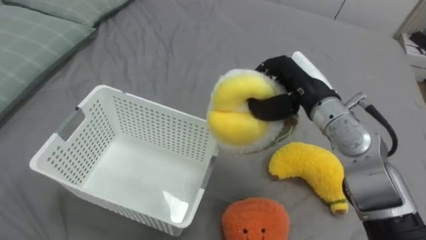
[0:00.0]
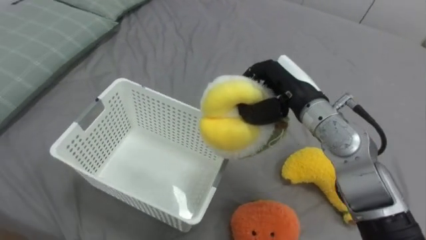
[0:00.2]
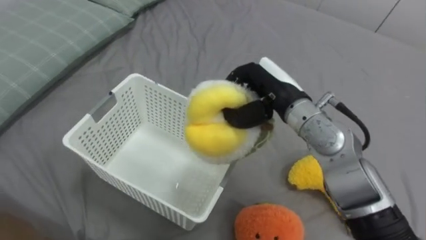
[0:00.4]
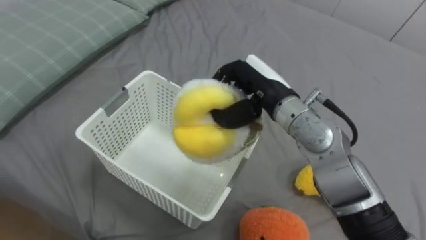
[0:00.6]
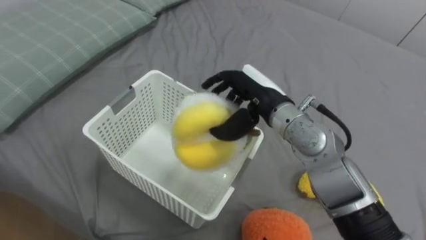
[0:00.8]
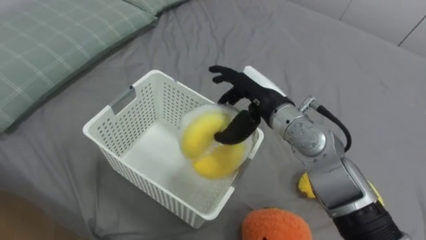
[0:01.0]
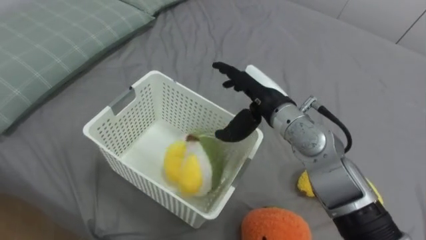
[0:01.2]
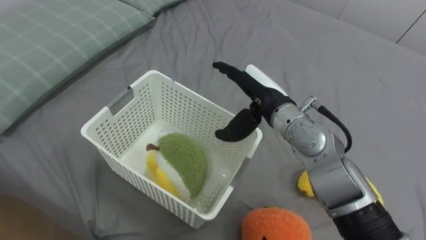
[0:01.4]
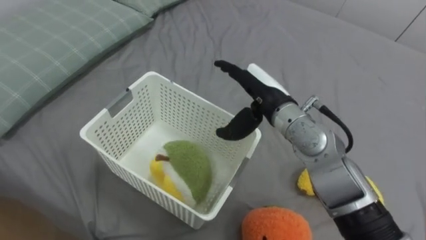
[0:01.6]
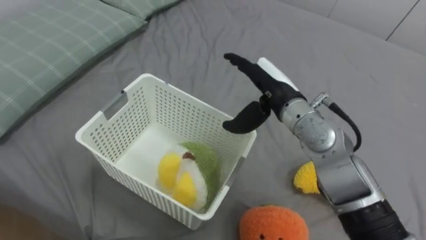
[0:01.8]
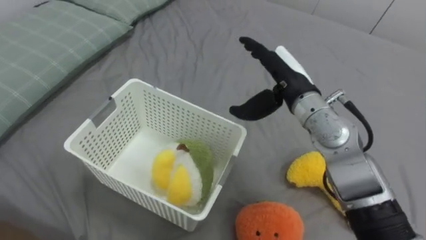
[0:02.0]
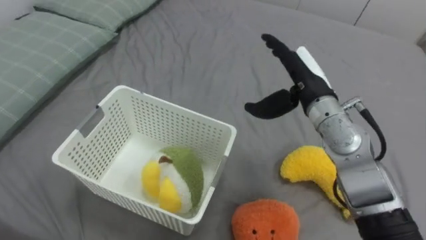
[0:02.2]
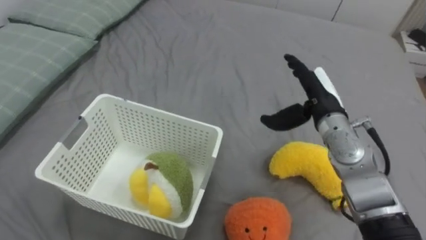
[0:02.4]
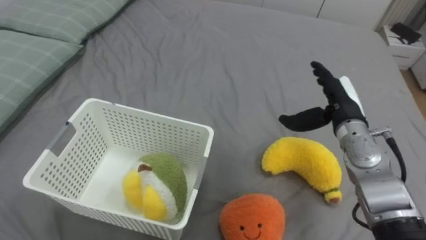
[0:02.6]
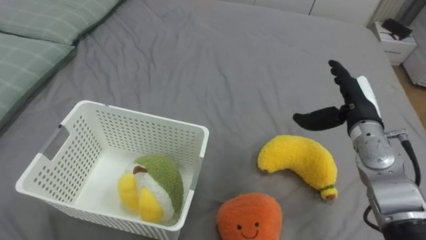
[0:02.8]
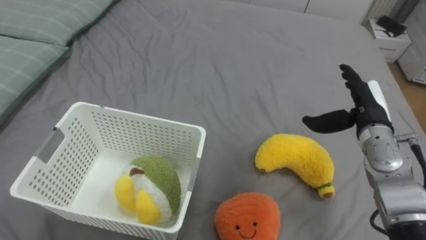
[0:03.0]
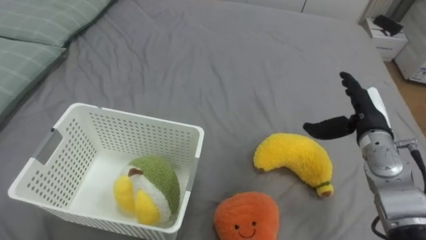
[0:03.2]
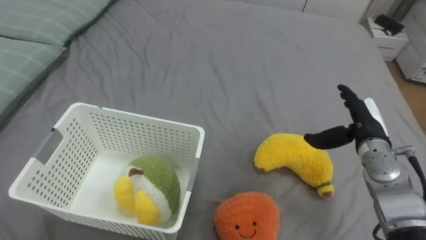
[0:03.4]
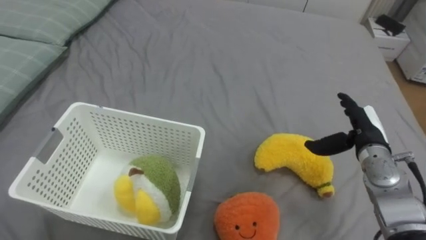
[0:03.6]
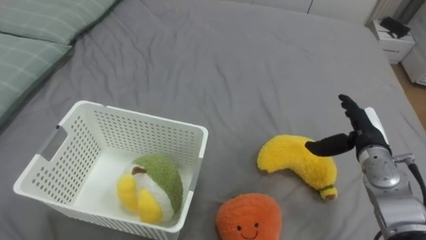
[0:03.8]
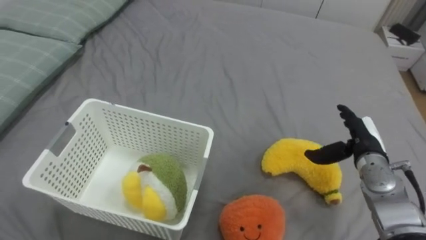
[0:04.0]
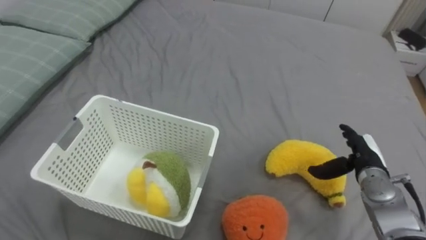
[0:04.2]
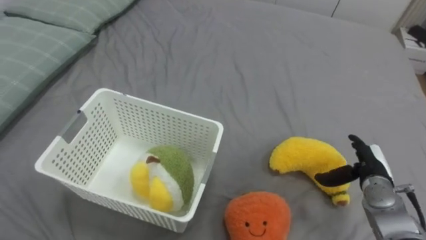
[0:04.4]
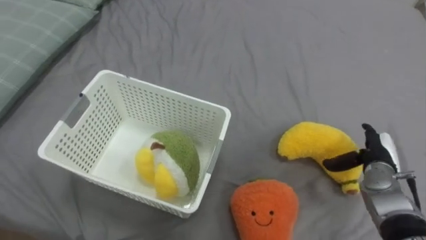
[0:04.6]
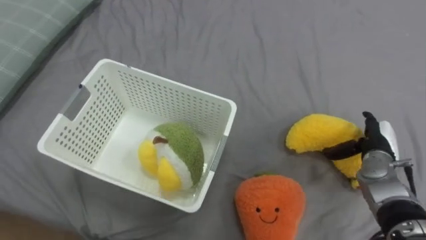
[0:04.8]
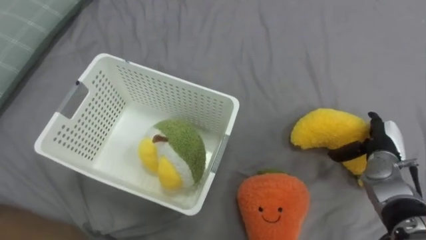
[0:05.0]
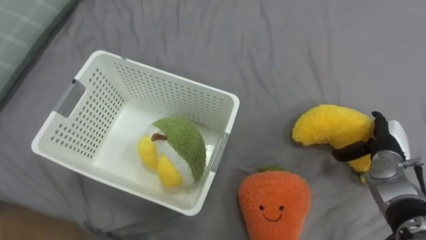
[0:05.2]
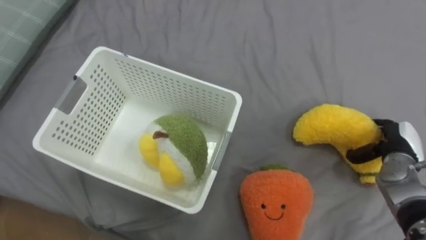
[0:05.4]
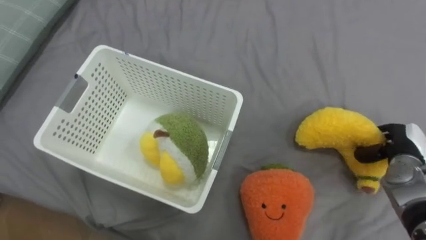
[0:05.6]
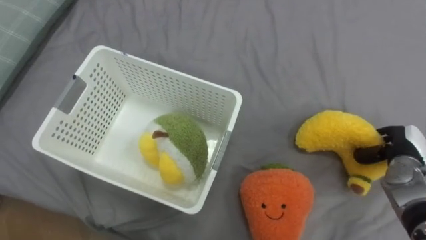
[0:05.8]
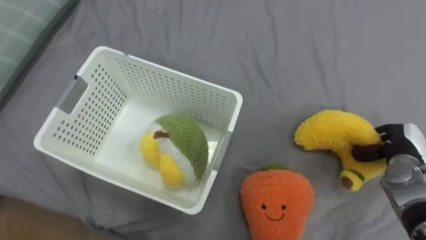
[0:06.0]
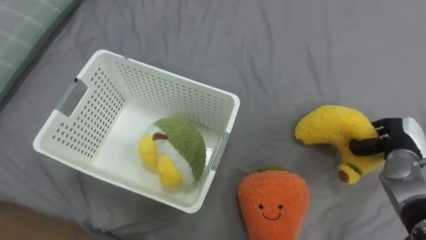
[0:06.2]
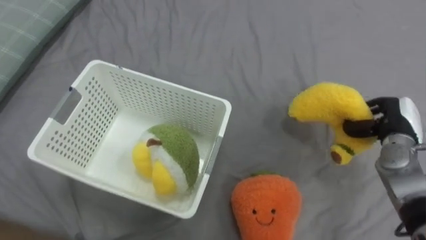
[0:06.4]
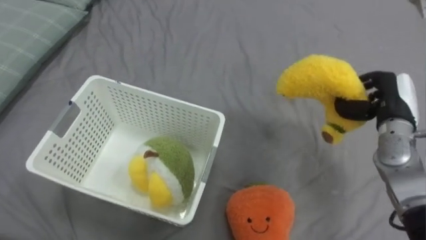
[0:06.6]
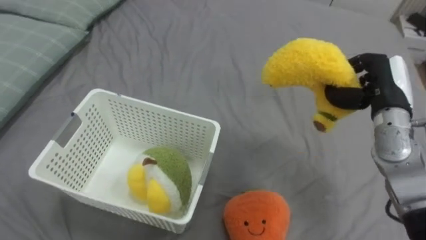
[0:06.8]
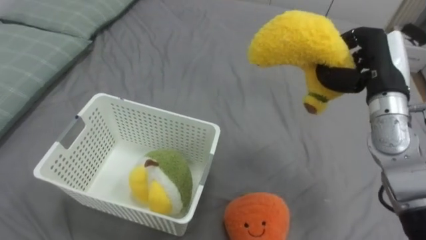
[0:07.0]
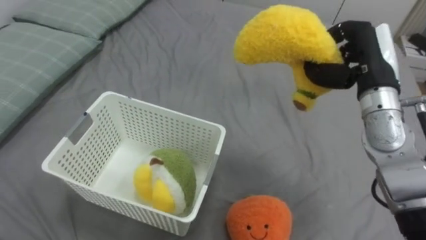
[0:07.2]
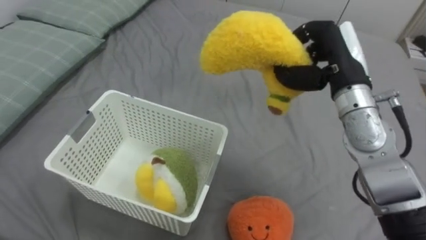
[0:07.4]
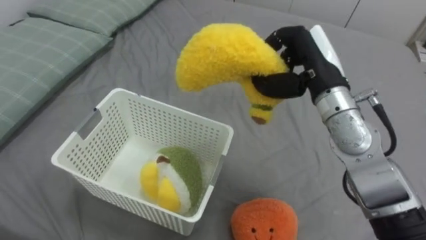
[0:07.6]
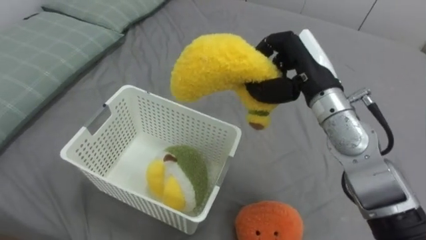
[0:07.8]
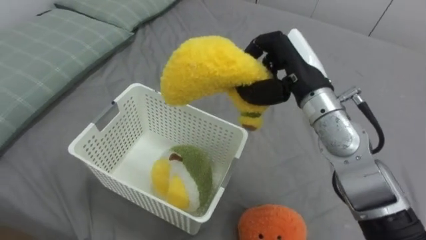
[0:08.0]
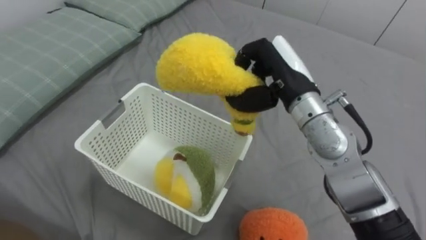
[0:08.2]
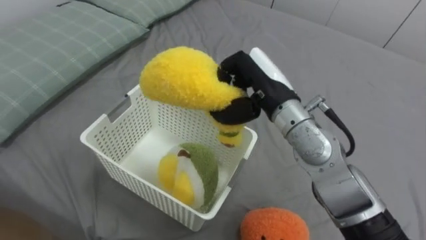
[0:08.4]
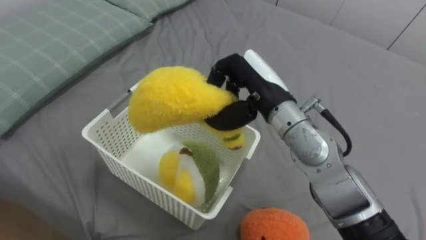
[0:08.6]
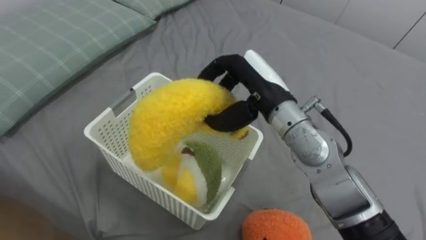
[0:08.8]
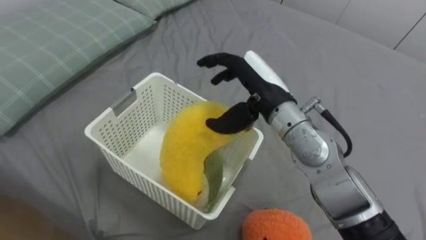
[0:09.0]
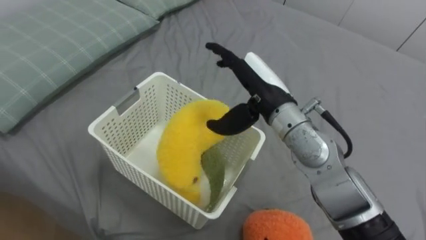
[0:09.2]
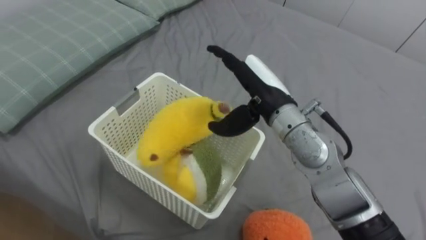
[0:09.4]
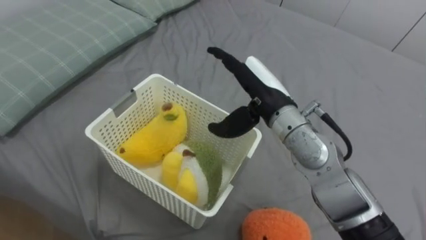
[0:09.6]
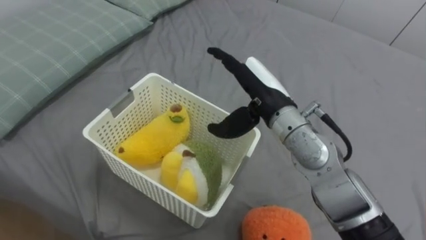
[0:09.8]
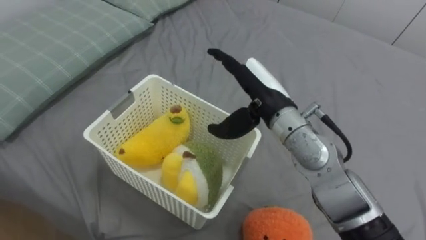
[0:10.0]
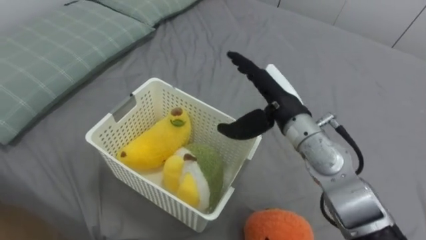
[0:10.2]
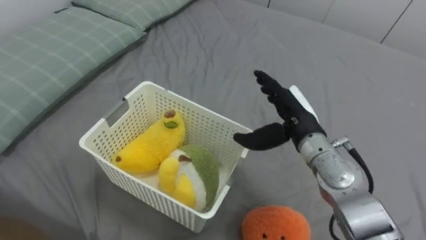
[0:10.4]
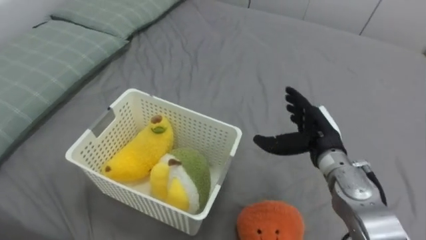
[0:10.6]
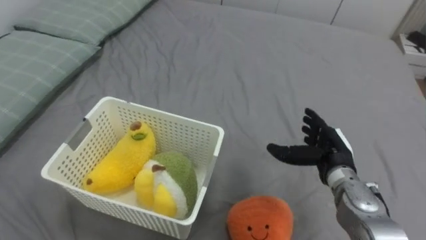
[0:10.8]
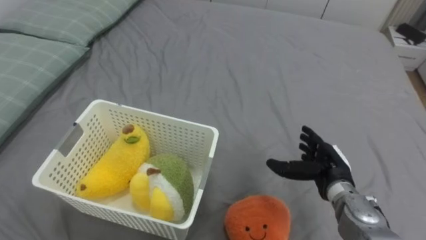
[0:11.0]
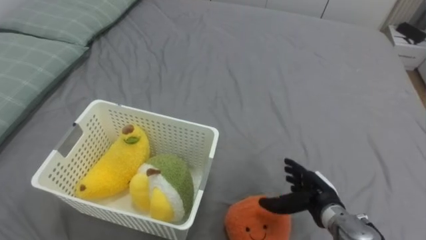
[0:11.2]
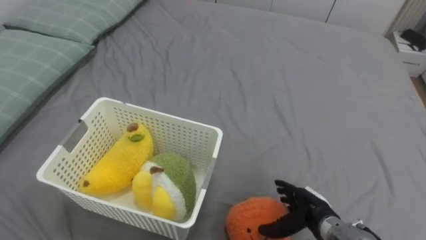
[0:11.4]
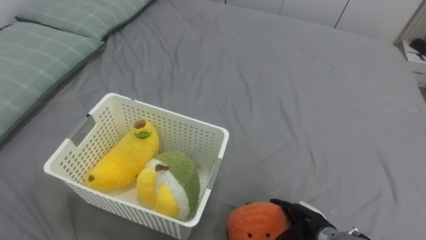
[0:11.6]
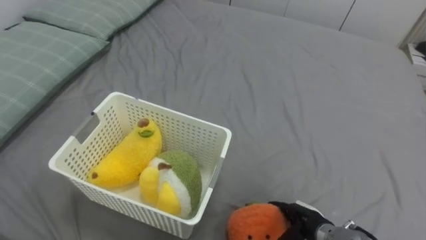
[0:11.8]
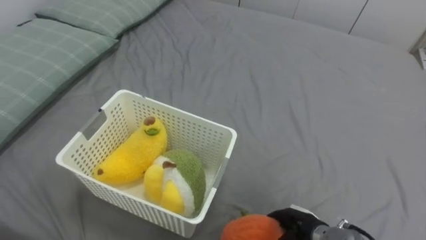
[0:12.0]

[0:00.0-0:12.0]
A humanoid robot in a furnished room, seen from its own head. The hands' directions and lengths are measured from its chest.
Task of the whole recording: Put the toys on the bed into the basket on the left.
0:00.0 to 0:01.6: The right hand travels to the left by roughly 5 cm, and opens up.
0:01.6 to 0:03.0: The right hand moves to the right, approximately 20 cm.
0:03.0 to 0:04.4: The right hand goes roughly 15 cm downward and backward.
0:04.4 to 0:06.0: The right hand moves to the right, some 5 cm, and closes.
0:06.0 to 0:07.6: The right hand travels to the left and upward by some 30 cm.
0:07.6 to 0:09.0: The right hand goes roughly 10 cm to the left, and opens its fingers.
0:09.0 to 0:10.4: The right hand moves to the right and downward, about 10 cm.
0:10.4 to 0:12.0: The right hand is displaced downward and backward by about 25 cm.

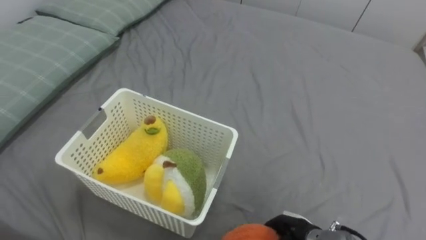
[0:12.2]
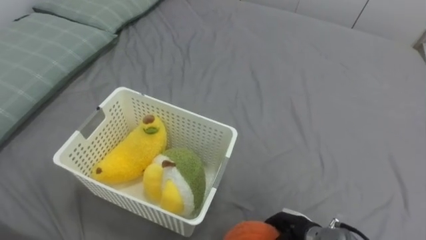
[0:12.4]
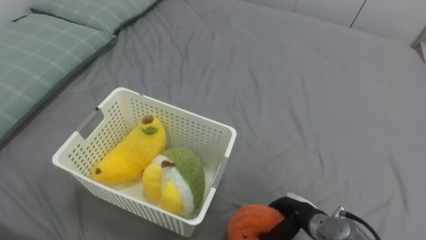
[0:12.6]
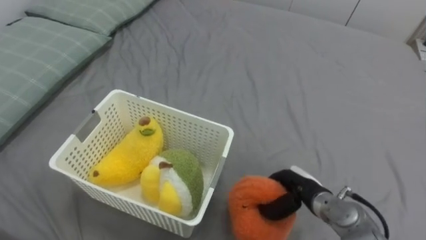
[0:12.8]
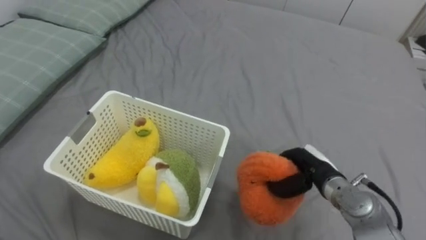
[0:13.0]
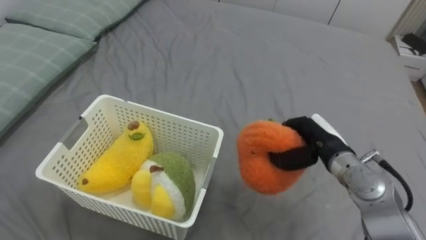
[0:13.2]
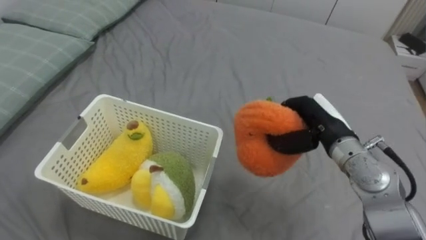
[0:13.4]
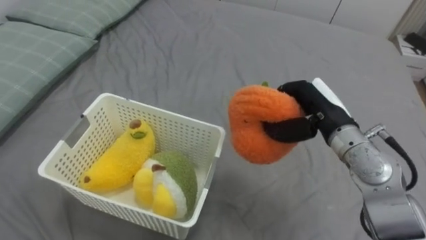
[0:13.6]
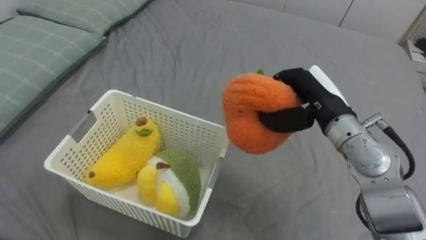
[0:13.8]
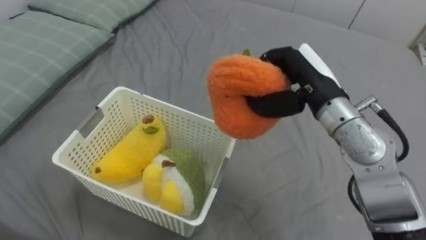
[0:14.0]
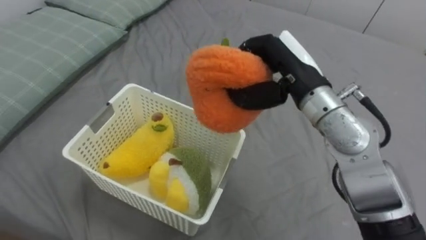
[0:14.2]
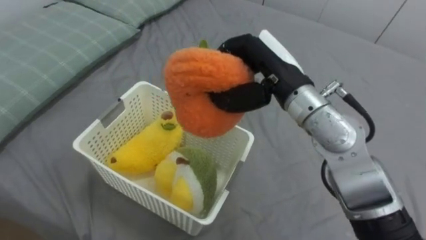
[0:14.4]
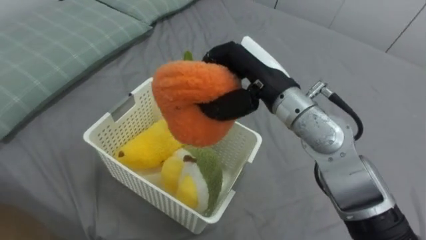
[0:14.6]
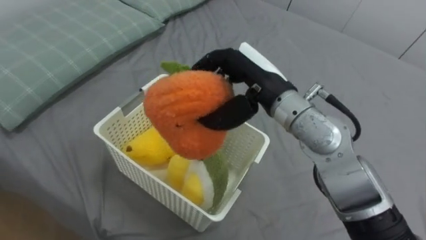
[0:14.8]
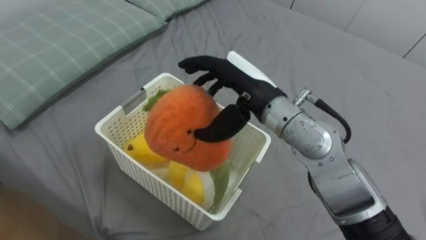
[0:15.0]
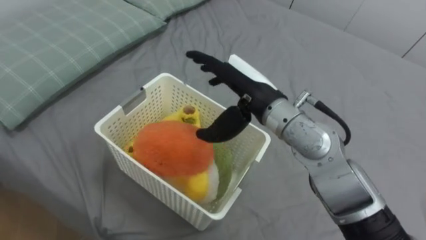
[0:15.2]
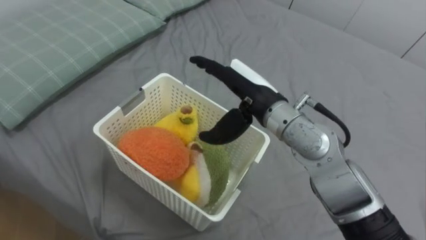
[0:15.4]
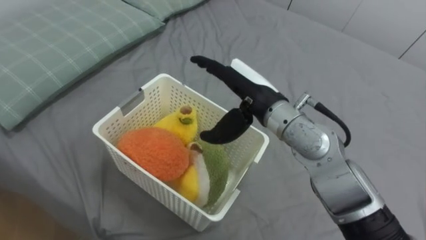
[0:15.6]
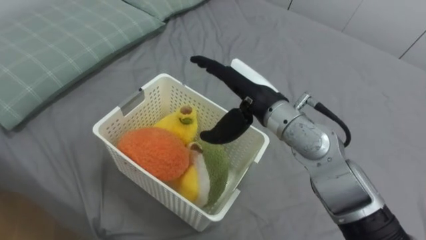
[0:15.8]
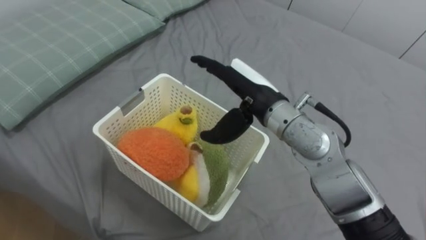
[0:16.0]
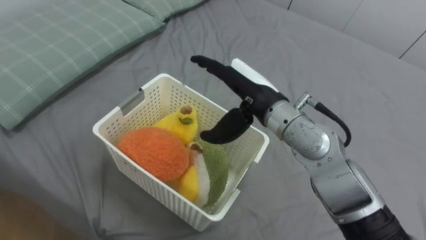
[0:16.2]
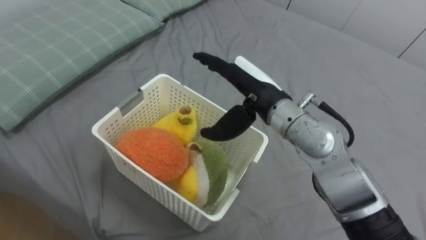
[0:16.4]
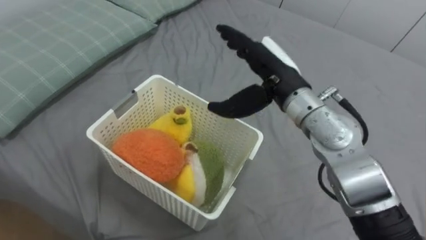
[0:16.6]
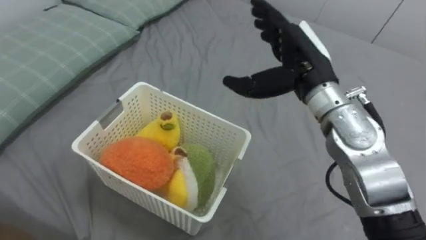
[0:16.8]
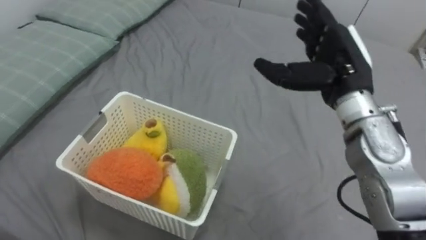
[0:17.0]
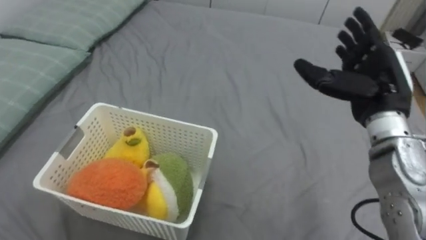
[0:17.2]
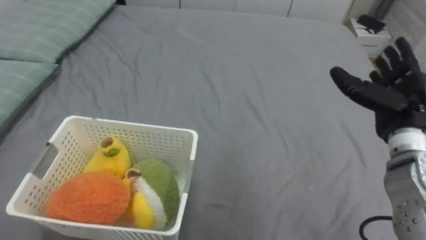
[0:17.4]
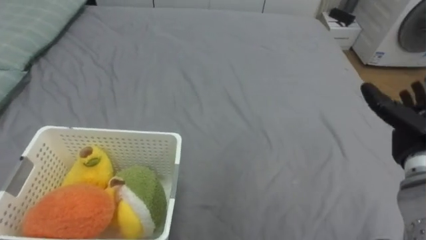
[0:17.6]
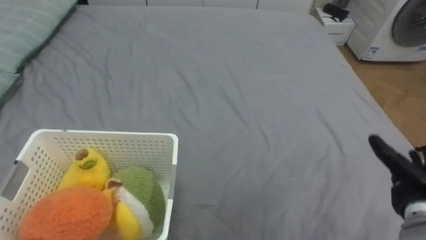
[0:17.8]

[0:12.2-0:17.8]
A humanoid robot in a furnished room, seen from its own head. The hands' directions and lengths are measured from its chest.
Task of the whole recording: Put the toys on the bed into the basket on the left.
0:12.2 to 0:13.6: The right hand moves upward and forward, some 25 cm.
0:13.6 to 0:15.0: The right hand heads to the left and upward, covering some 15 cm, and opens up.
0:16.4 to 0:17.8: The right hand is displaced to the right and downward by some 35 cm.
